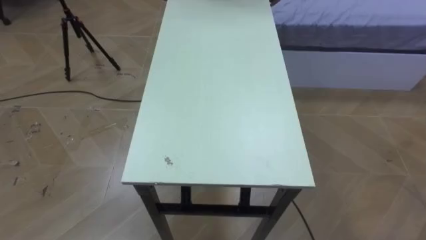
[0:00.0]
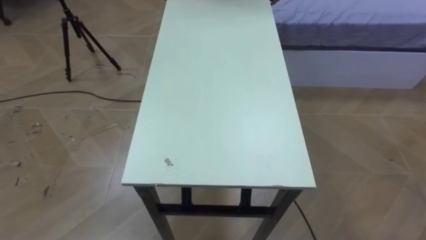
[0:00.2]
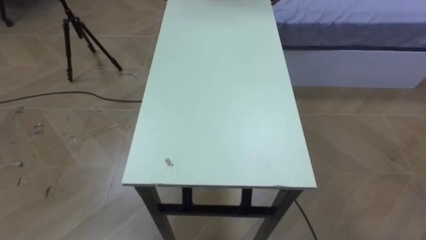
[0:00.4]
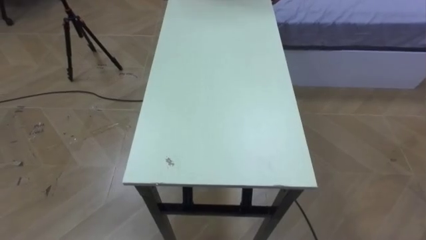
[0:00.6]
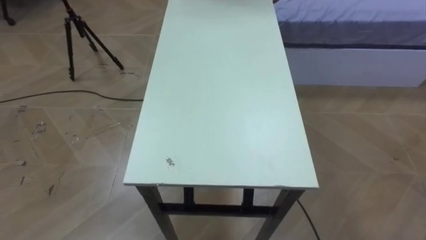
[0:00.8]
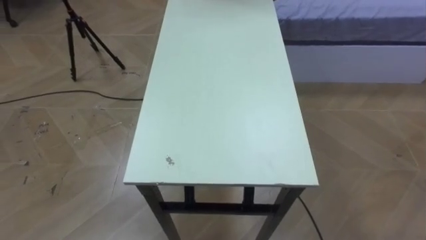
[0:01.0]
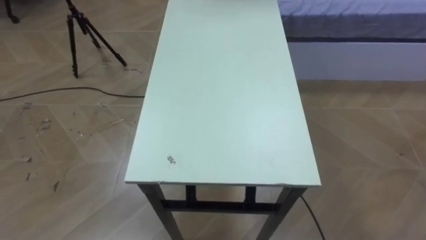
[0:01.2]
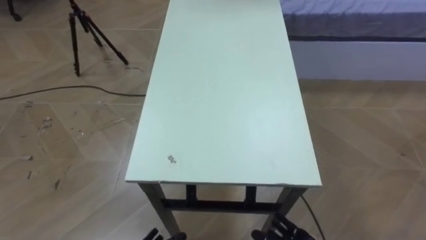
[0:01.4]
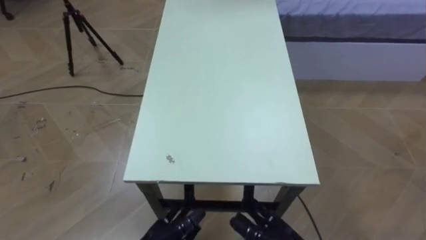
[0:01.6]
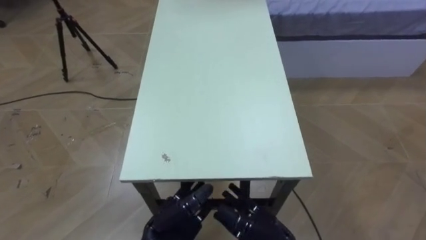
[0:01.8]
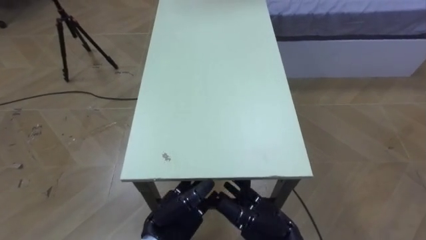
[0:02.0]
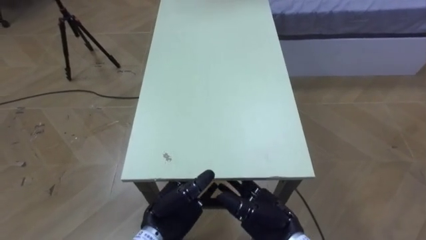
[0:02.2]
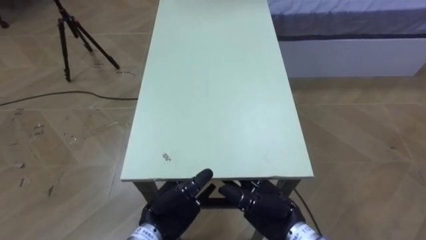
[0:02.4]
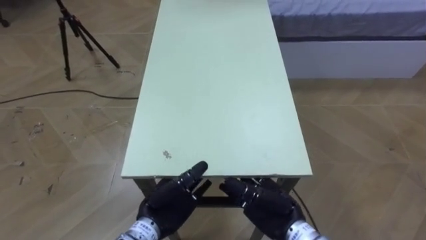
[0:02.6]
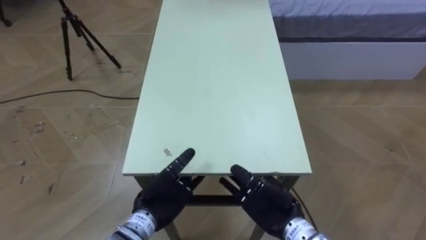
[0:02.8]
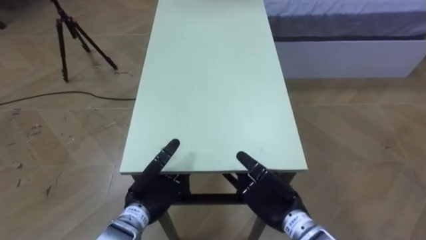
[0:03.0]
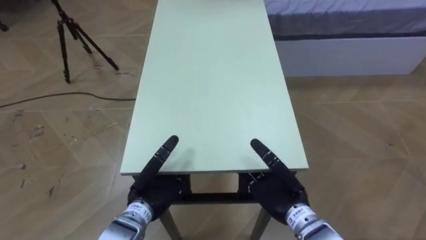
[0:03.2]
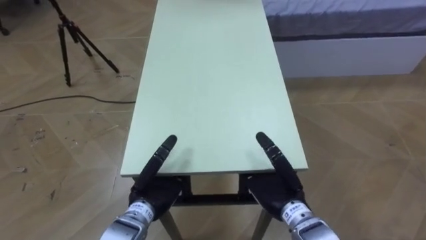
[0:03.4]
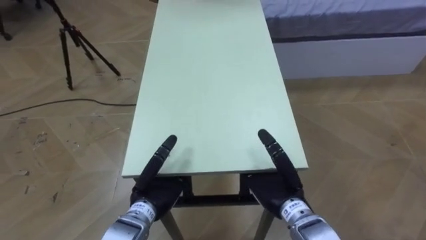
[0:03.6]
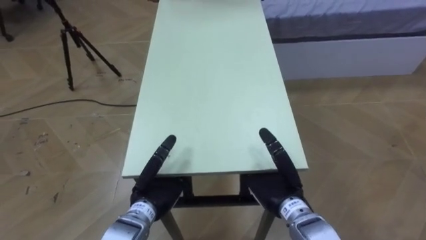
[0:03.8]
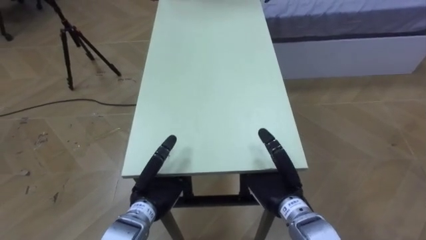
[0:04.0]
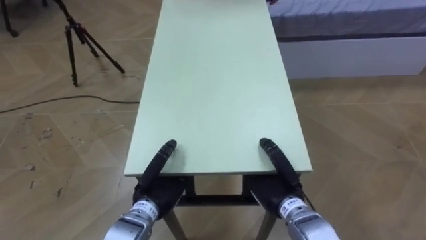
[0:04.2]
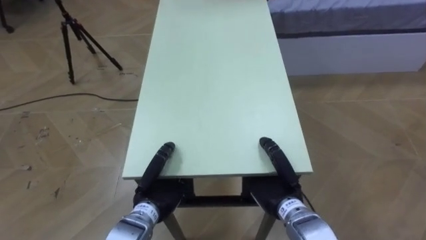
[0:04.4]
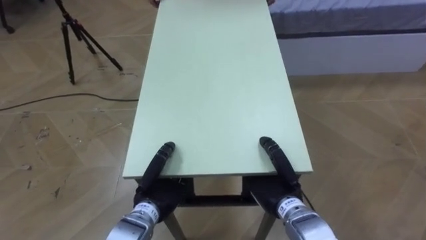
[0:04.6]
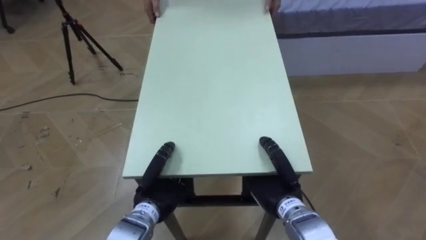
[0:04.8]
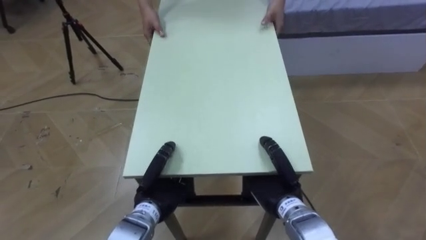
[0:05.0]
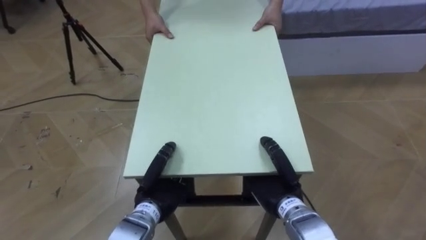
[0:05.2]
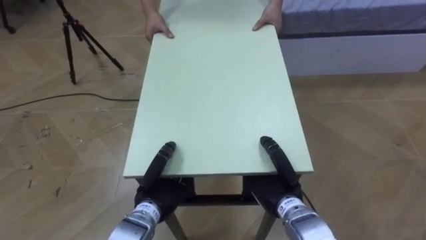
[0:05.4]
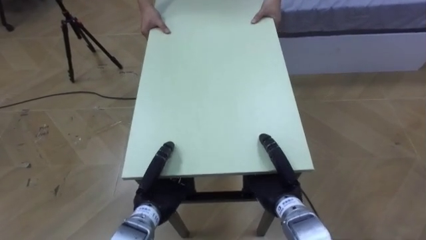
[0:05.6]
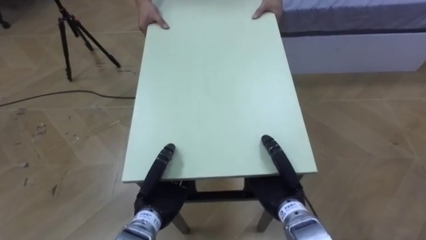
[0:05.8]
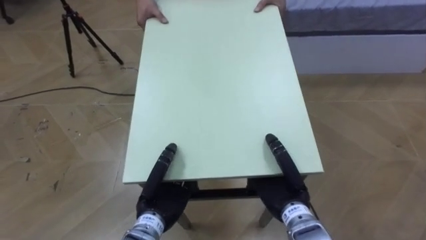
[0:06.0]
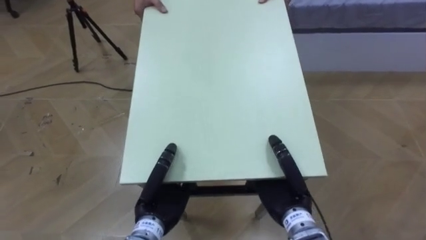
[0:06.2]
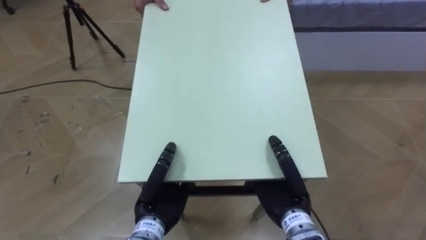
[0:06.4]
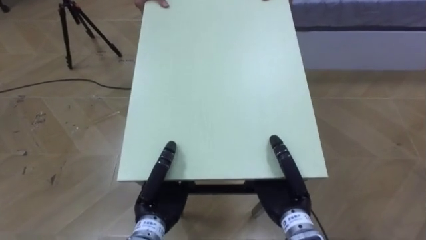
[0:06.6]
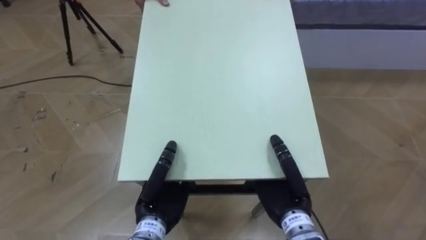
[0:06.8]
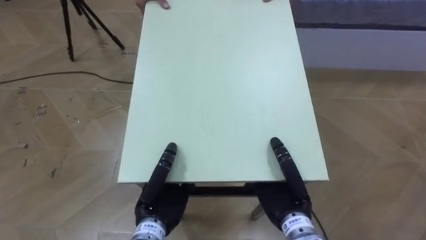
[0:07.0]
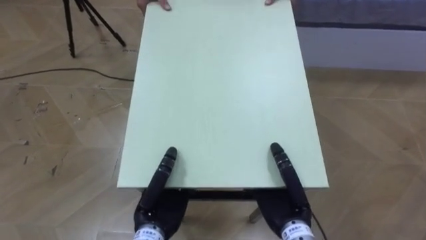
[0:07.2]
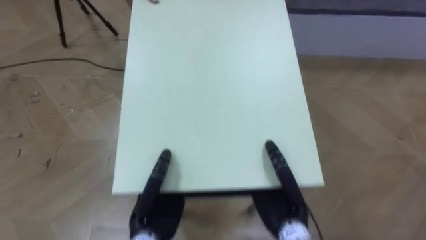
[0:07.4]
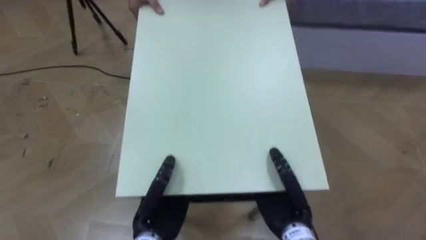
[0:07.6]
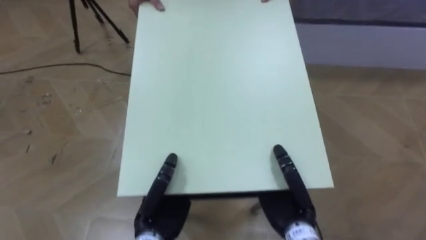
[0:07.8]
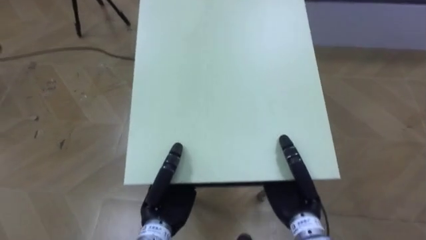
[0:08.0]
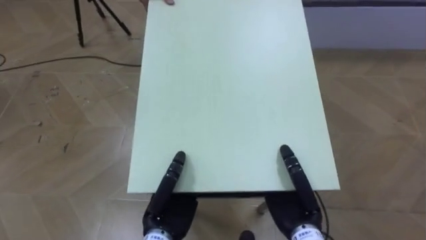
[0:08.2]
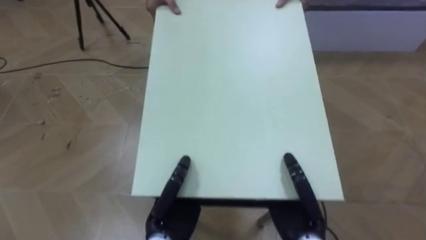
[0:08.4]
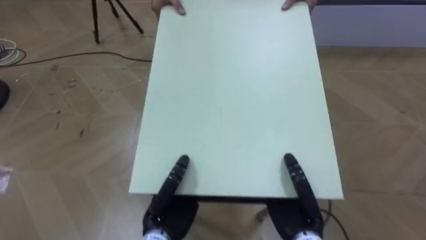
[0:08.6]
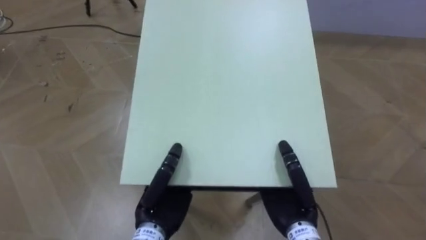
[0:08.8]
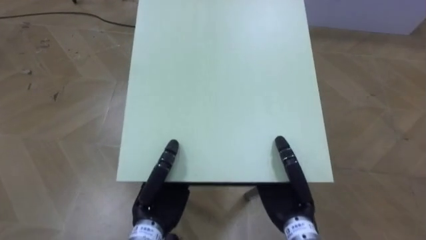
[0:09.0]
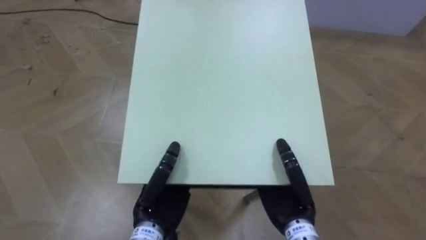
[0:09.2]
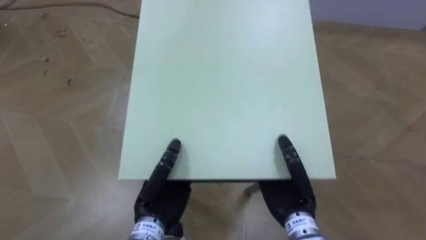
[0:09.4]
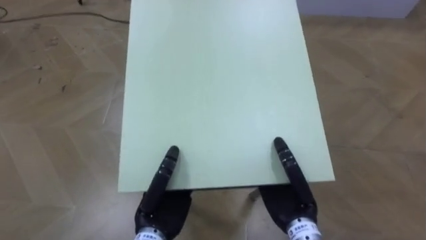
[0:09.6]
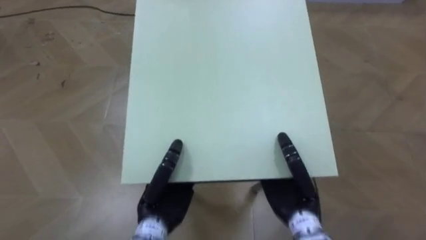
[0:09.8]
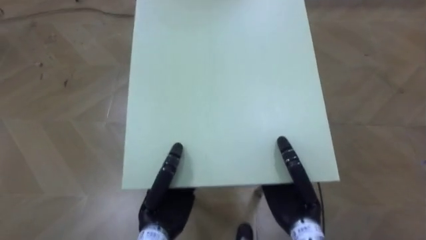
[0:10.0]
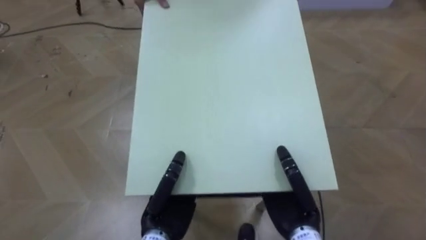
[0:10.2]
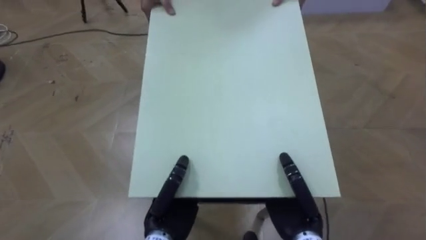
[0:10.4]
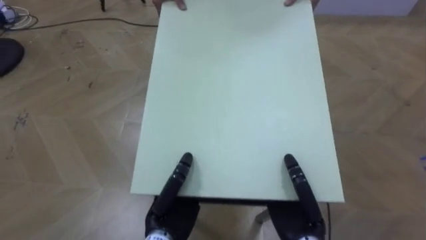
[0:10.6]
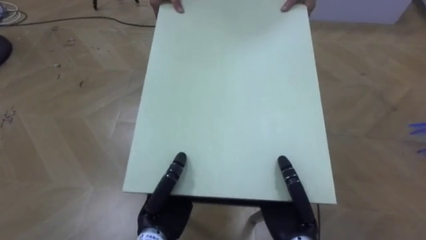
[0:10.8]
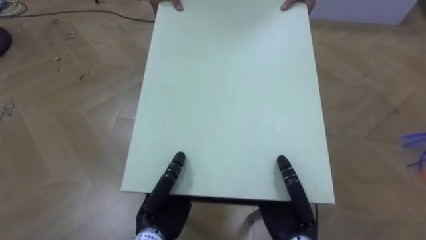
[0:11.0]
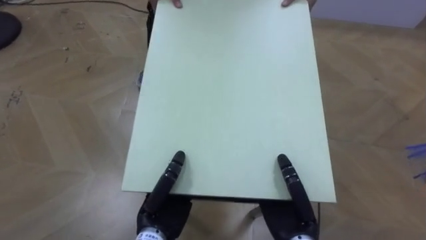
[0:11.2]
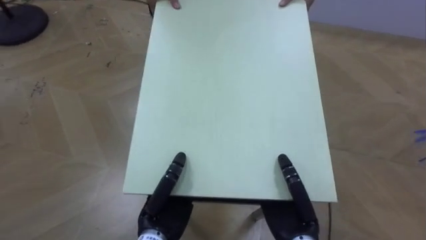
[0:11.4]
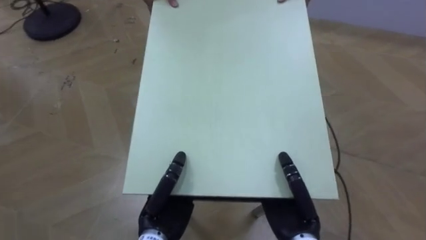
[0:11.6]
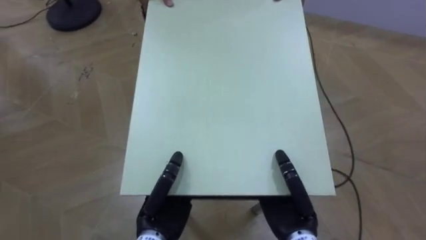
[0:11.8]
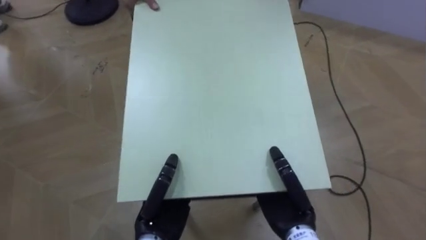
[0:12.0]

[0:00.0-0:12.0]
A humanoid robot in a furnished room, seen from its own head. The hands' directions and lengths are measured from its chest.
Task of the whole recording: Move the table to the back left with someone.
0:01.6 to 0:03.0: The right hand shifts roughly 10 cm forward and upward.
0:03.0 to 0:04.4: The left hand closes up; the right hand closes its fingers.
0:04.4 to 0:06.0: There are only small adjustments of the hands.

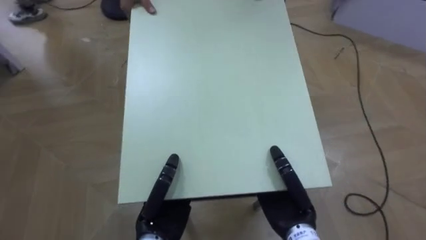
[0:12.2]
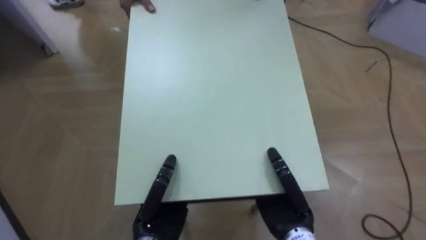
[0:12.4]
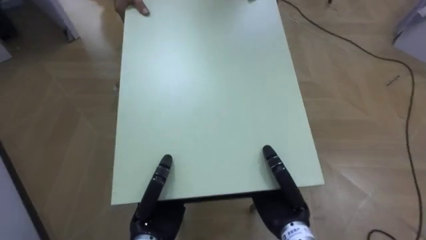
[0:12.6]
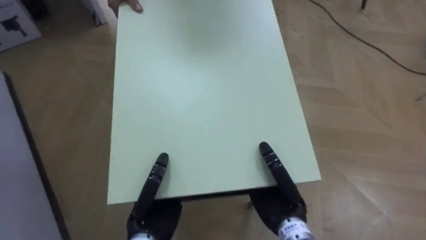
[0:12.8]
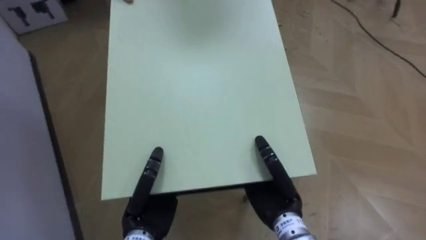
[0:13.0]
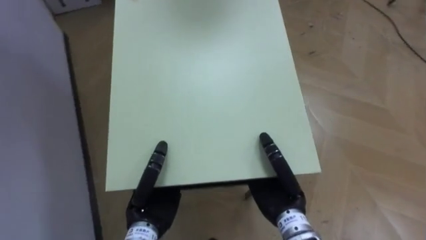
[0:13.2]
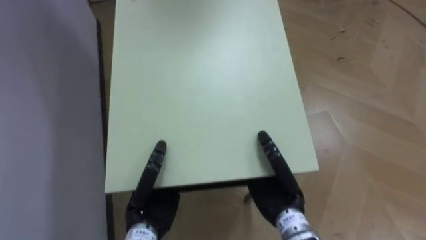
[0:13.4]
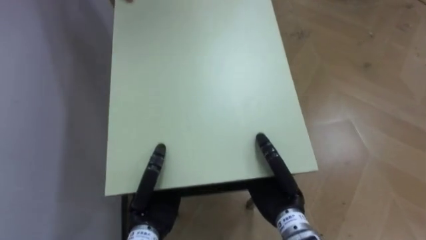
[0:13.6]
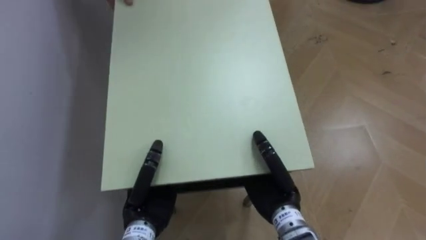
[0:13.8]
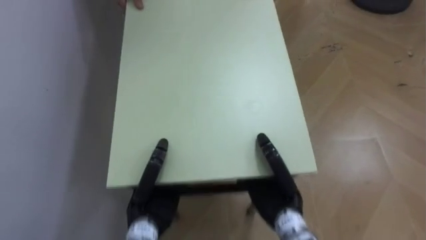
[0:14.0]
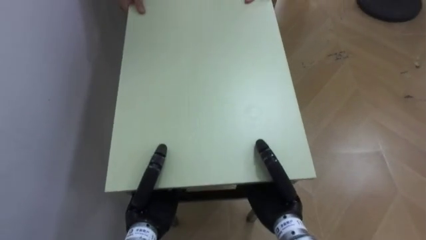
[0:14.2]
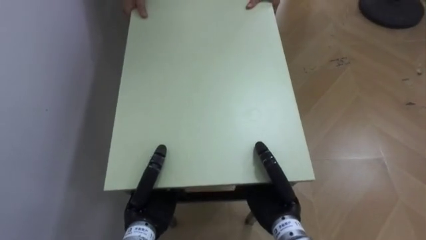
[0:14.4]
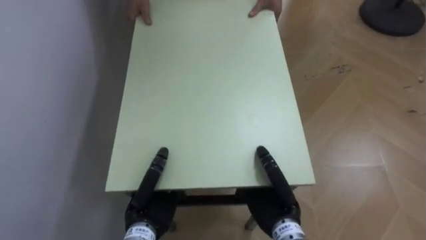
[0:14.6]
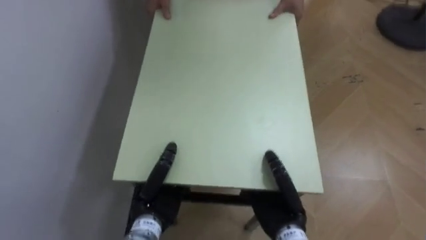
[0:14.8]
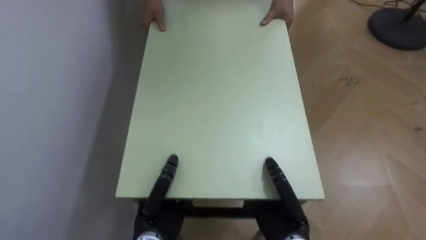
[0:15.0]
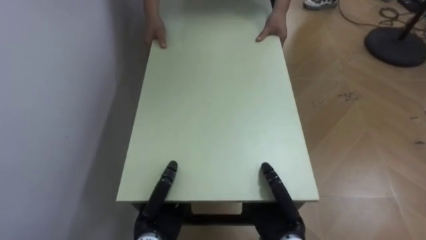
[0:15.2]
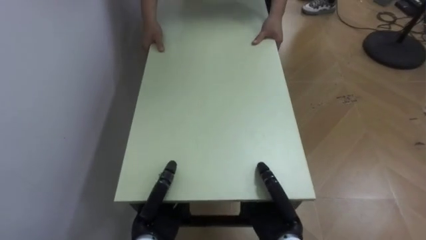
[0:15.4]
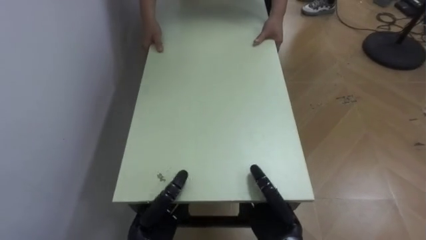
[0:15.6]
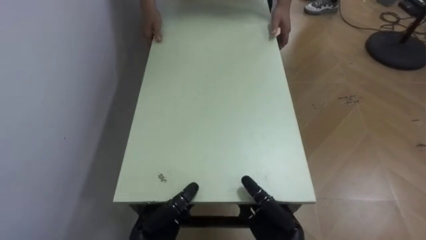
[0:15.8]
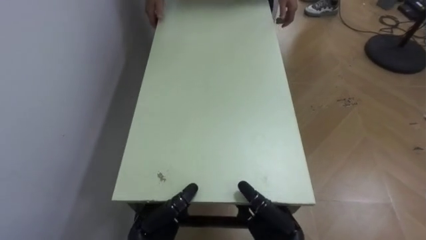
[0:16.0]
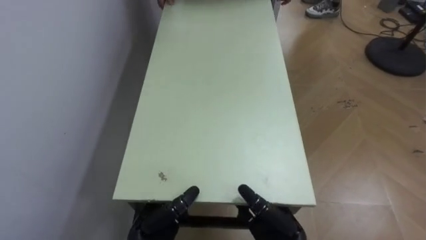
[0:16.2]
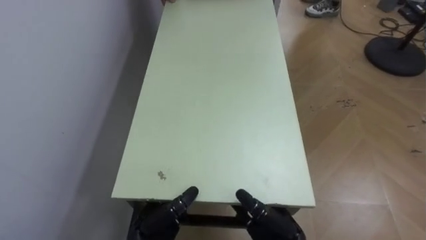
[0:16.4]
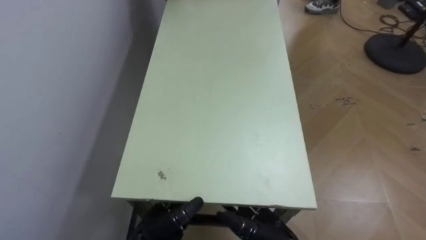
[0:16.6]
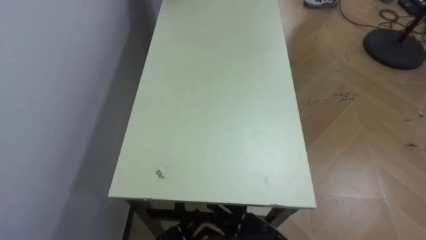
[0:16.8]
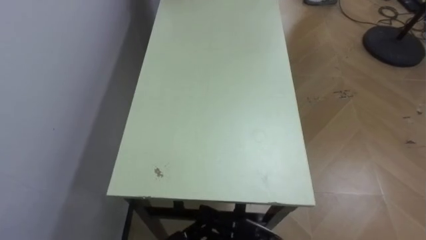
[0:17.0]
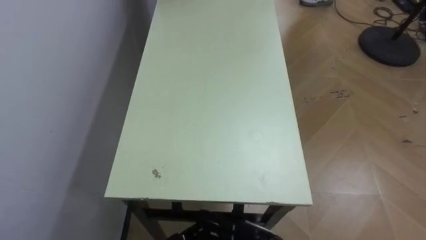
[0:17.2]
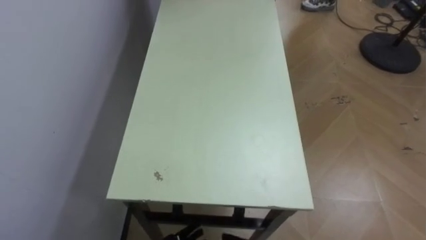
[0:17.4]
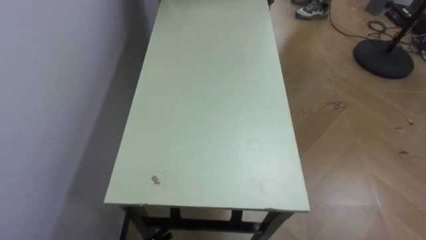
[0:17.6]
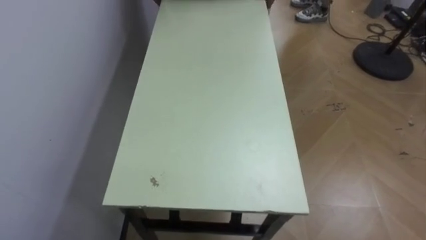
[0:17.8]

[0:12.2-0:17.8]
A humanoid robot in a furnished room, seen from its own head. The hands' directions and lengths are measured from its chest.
Task of the whole recording: Move the table to the back left with someone.
0:12.2 to 0:13.6: The robot turns to its left by about 45 degrees.
0:13.6 to 0:15.0: The robot faces roughly 15 degrees further to its left.
0:15.0 to 0:16.4: The right hand opens. The left hand opens.
